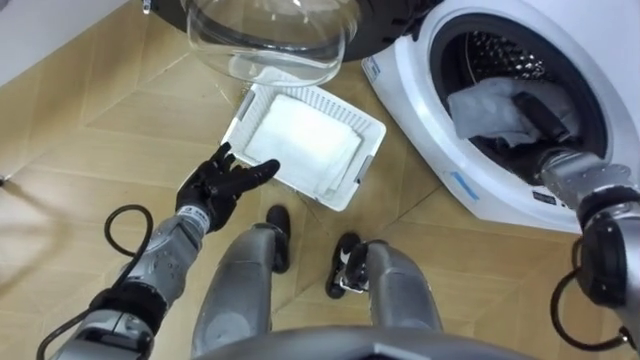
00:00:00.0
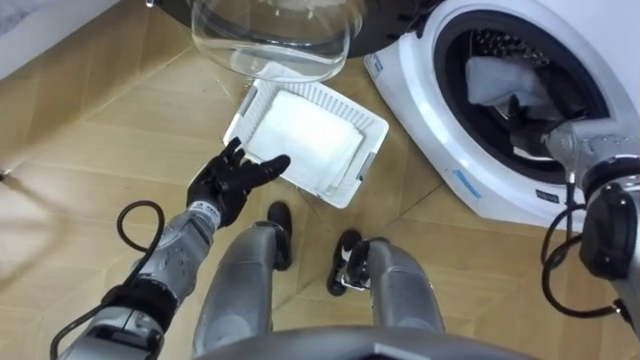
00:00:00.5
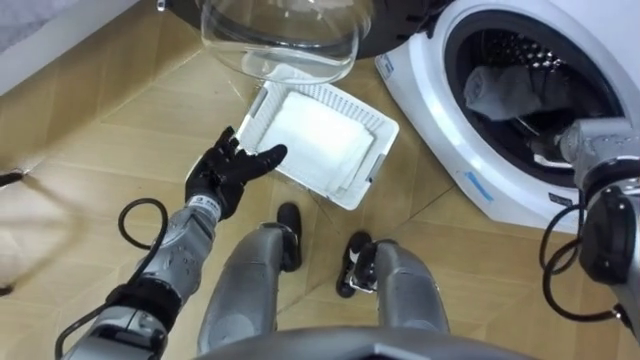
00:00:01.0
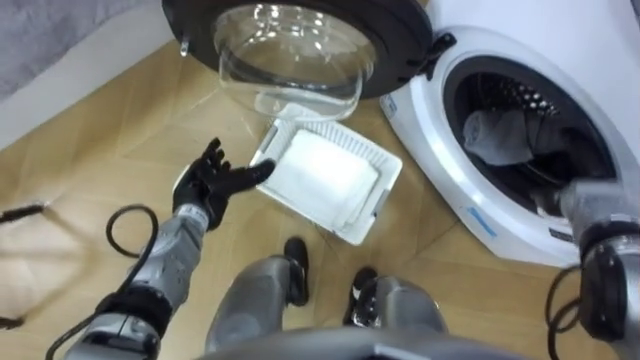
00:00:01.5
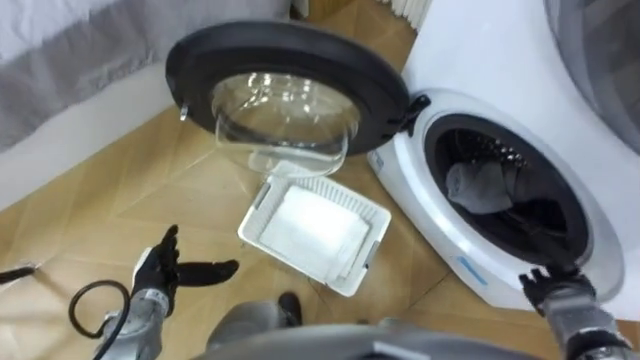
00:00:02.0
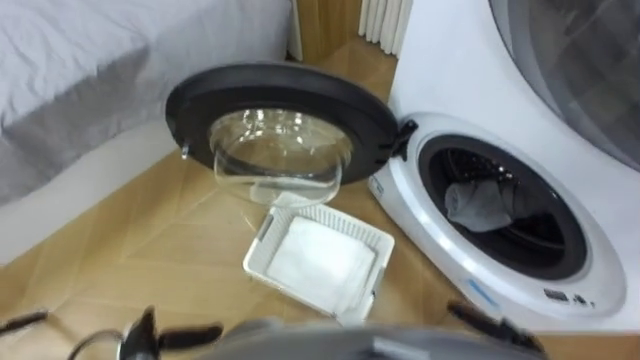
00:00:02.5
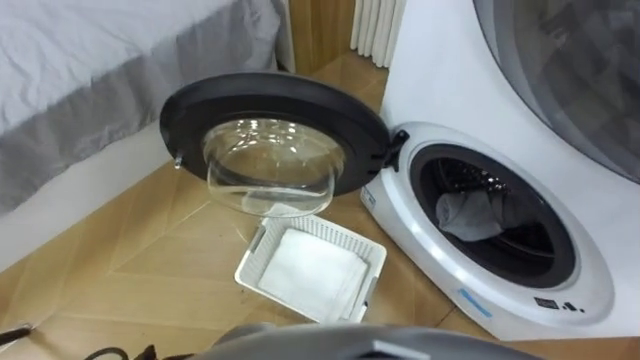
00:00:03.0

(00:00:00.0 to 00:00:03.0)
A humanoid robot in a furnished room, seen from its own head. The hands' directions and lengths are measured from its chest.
Task of the whole recording: Take the towel from the basket and put it into the washing machine.
00:00:00.0 - 00:00:01.5: The right hand shifts roughly 5 cm backward, and opens up.

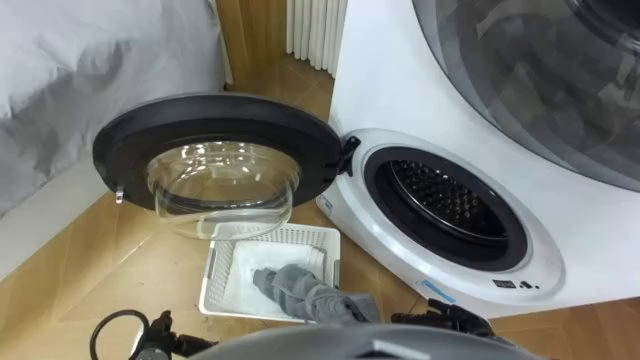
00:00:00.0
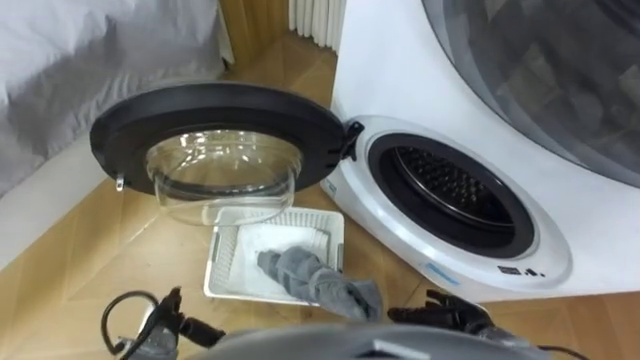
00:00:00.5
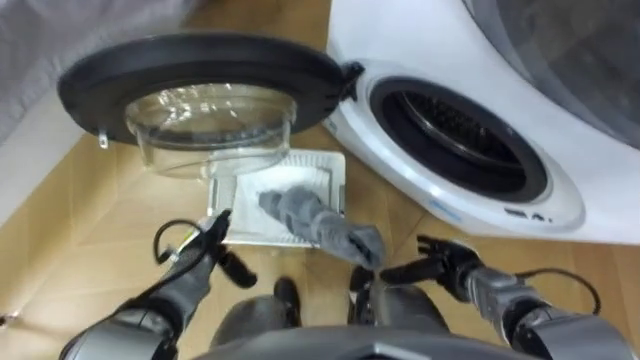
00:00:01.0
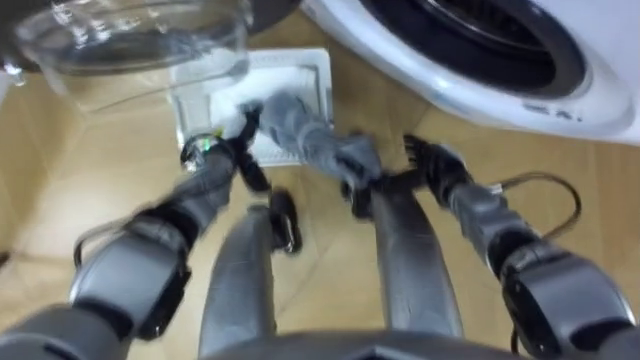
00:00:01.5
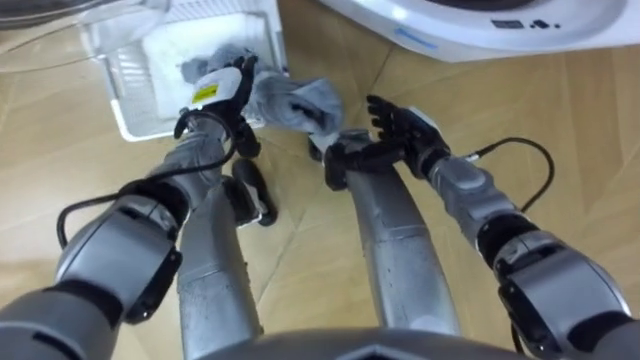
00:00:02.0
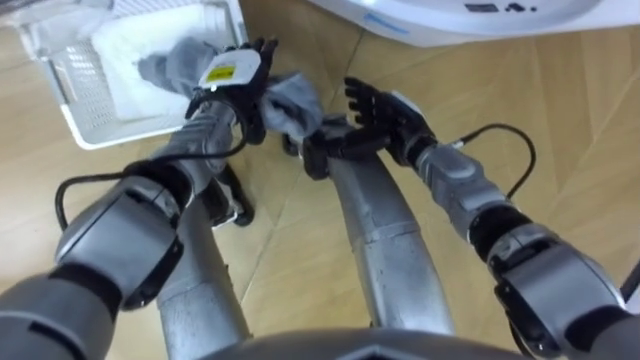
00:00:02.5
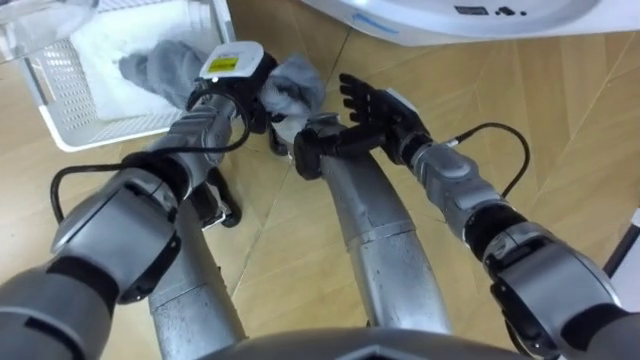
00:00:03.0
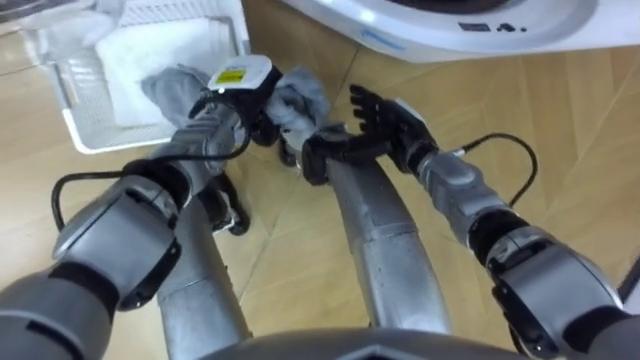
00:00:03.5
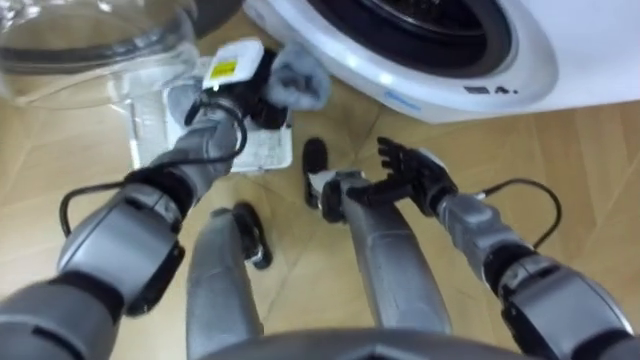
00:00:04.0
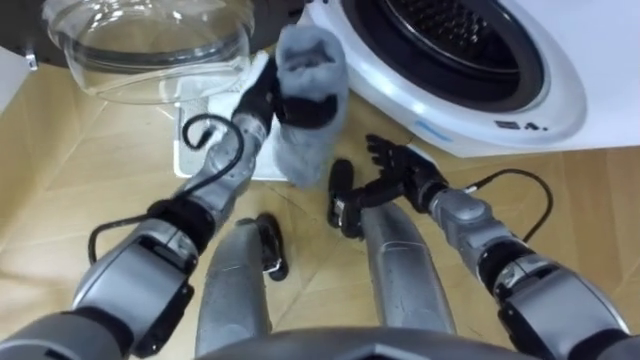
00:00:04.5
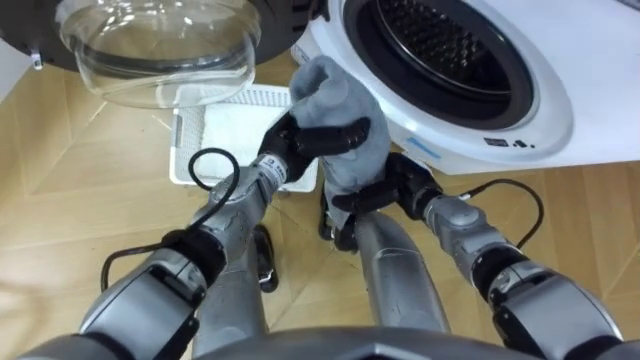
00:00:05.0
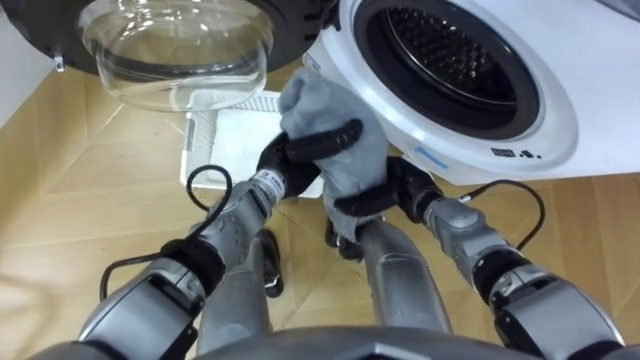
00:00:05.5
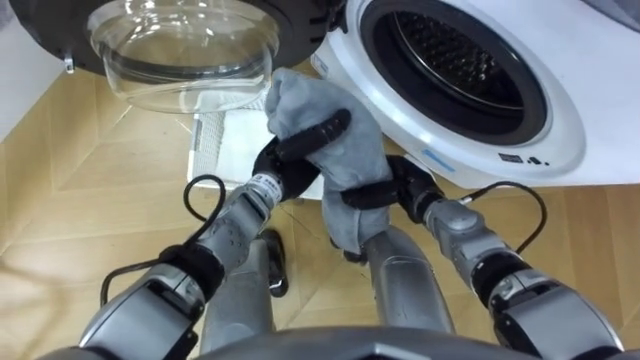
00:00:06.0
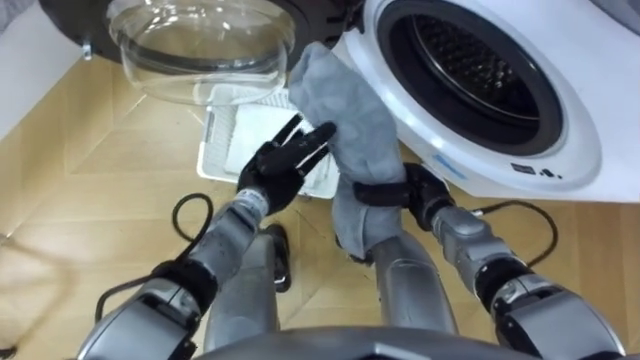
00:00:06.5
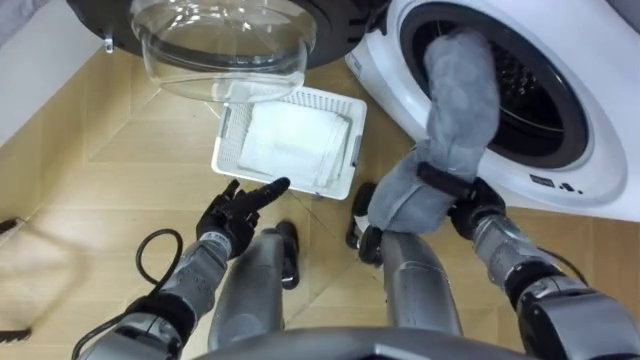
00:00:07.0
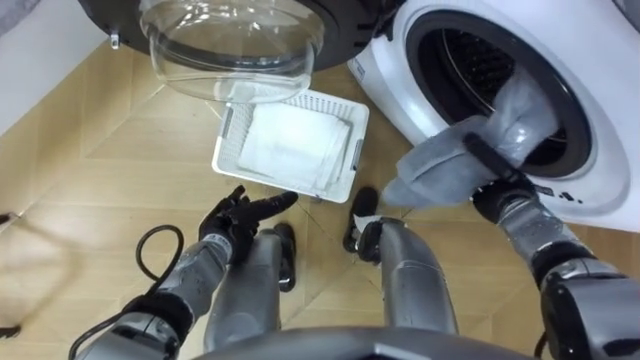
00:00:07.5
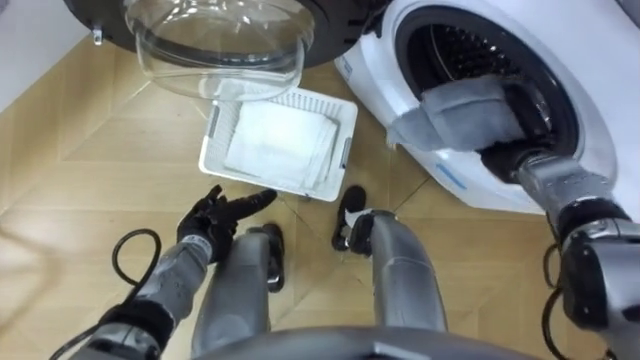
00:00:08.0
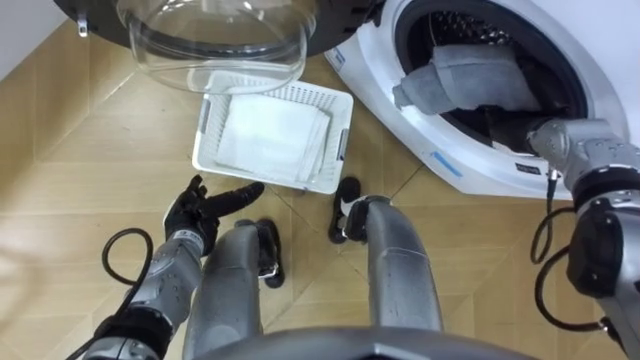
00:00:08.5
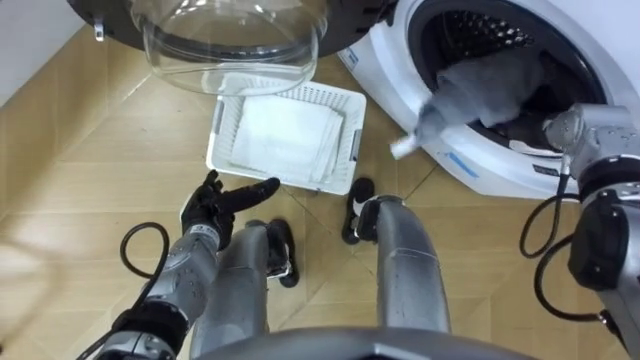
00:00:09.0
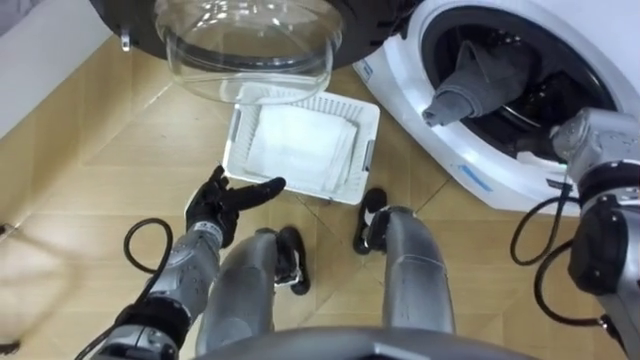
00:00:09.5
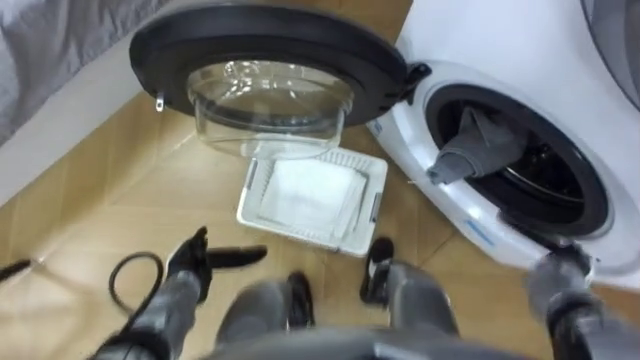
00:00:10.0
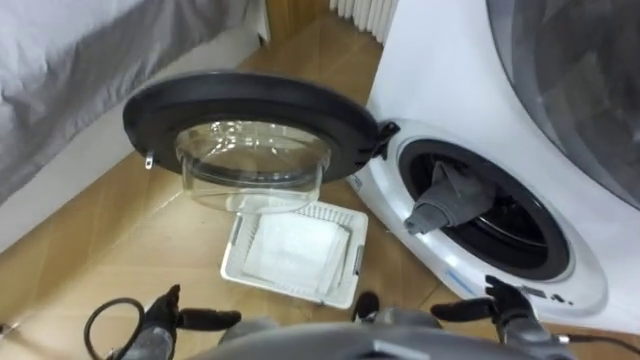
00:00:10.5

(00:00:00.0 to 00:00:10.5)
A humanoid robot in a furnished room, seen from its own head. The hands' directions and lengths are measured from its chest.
Task of the whole recording: Take the towel from the basket and put it into the washing machine.
00:00:02.0 - 00:00:04.0: The right hand changes place by approximately 5 cm; the left hand closes.
00:00:04.0 - 00:00:06.5: The right hand closes up. The left hand shifts some 15 cm backward and downward, and opens up.
00:00:06.5 - 00:00:08.5: The left hand moves to the left and backward, about 15 cm, while the right hand shifts about 20 cm to the right, upward and forward.
00:00:08.5 - 00:00:10.5: The left hand is displaced backward and downward by approximately 15 cm, while the right hand travels backward and downward by roughly 30 cm.

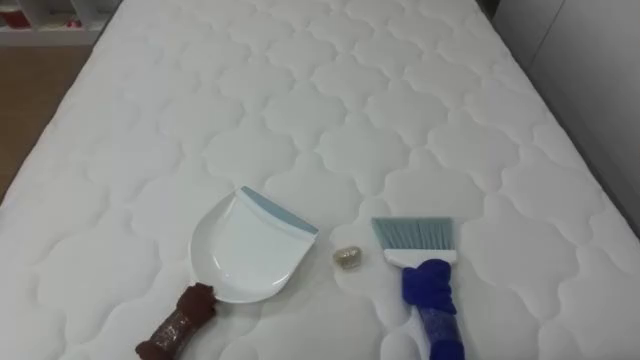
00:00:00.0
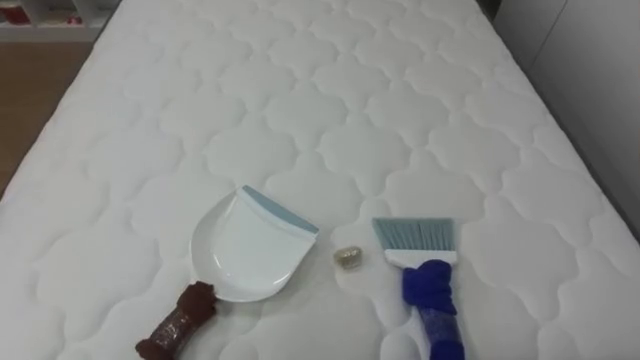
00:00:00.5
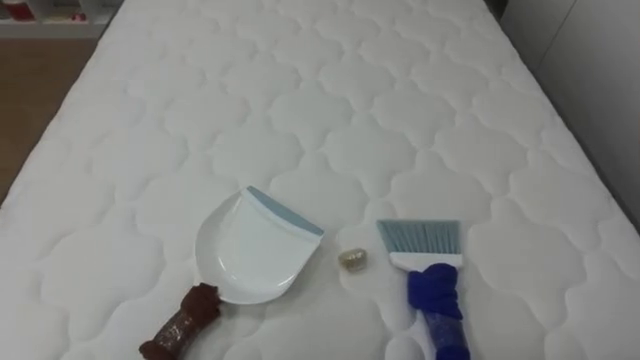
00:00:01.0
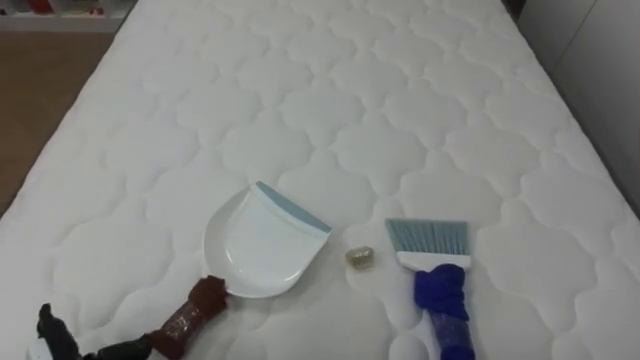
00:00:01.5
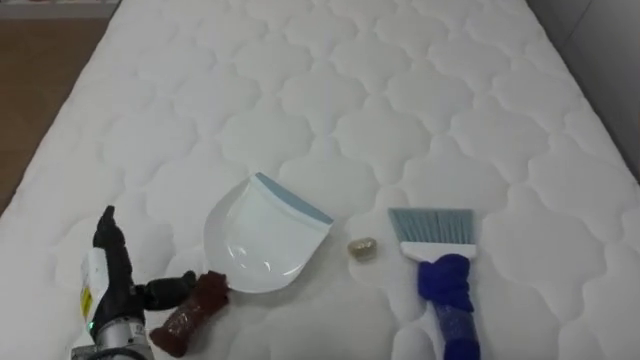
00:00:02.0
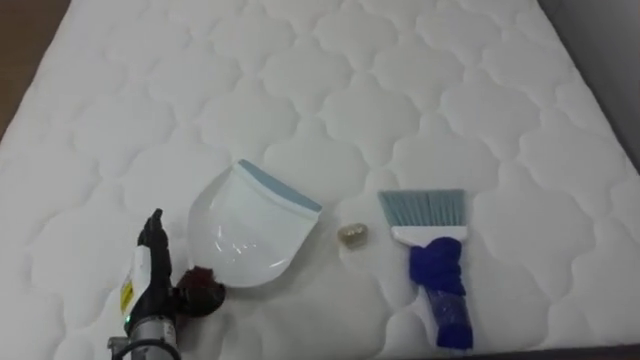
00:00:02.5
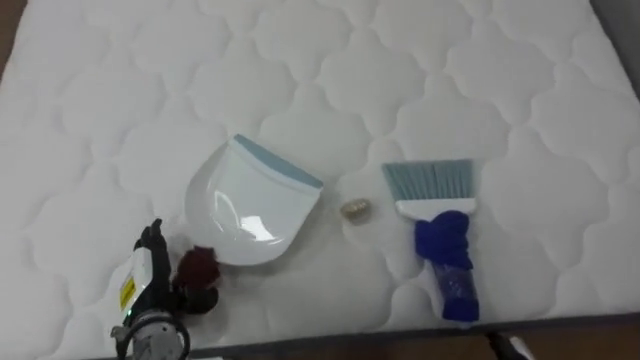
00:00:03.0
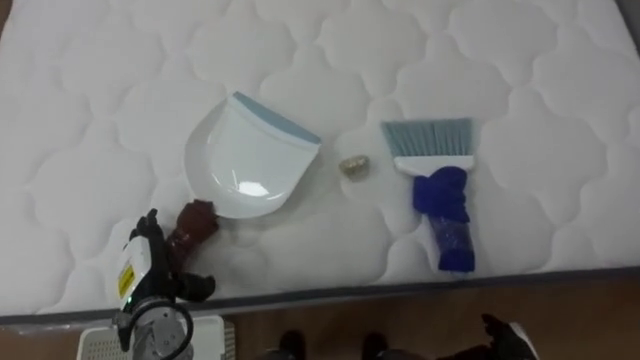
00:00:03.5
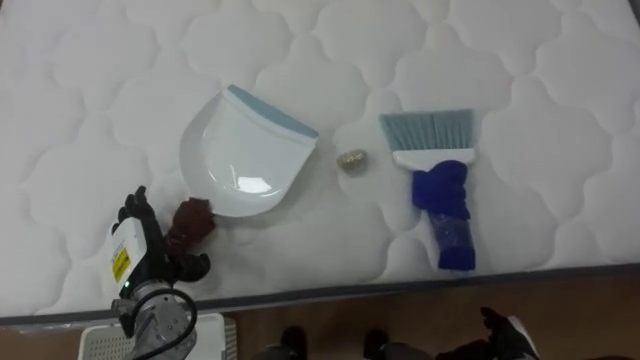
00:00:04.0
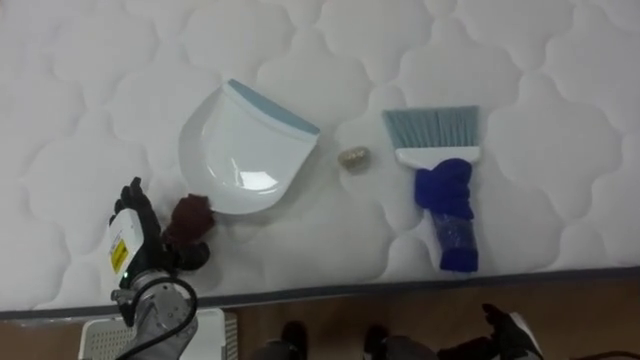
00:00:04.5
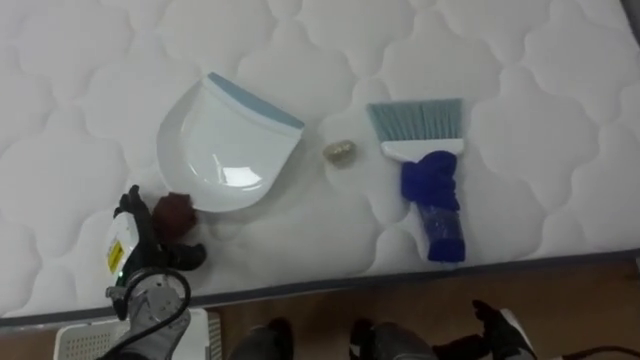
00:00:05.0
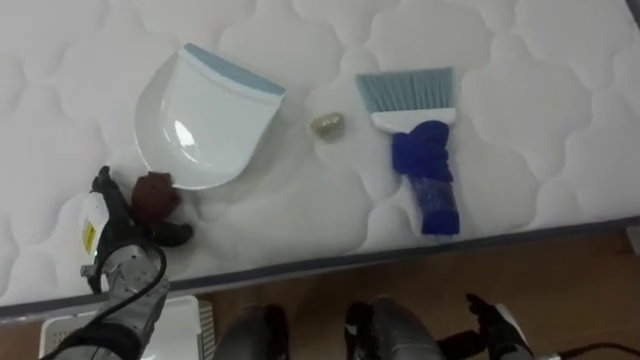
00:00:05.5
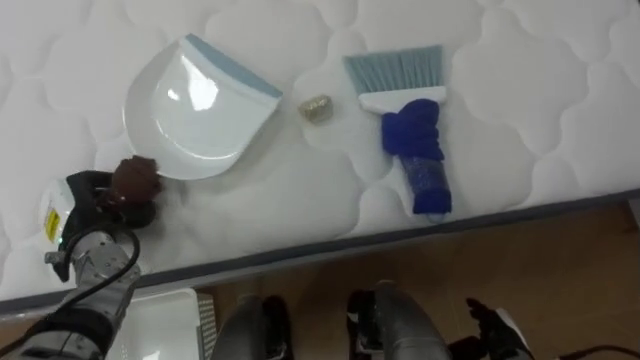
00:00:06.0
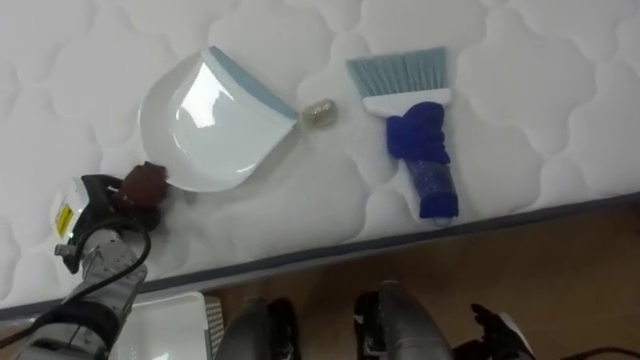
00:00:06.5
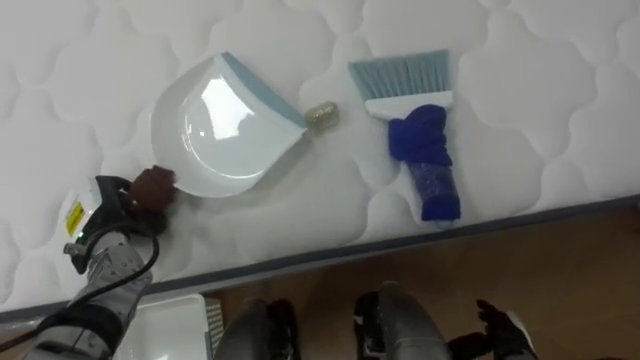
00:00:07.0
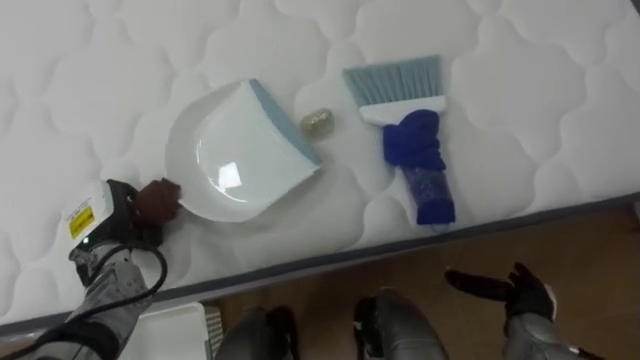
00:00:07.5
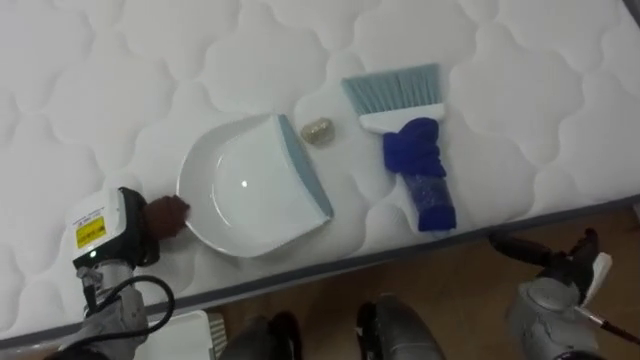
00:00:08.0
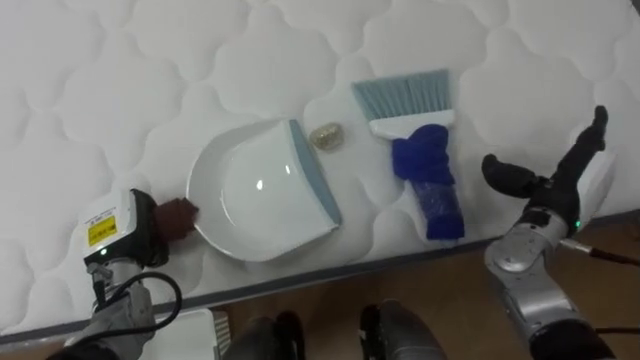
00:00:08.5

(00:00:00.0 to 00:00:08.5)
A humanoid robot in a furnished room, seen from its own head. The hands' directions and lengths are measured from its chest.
Task of the whole recording: Pick up the brush on your right and the dustpan on your left. Use the brush to sweep the crumpled paper on the bed into the dustpan, then turn left and empty it into the basket.
00:00:02.0 - 00:00:04.0: The left hand shifts approximately 5 cm forward.
00:00:04.0 - 00:00:06.5: The left hand travels to the left by some 5 cm, and closes.
00:00:06.5 - 00:00:08.5: The right hand travels upward and forward by roughly 25 cm.
